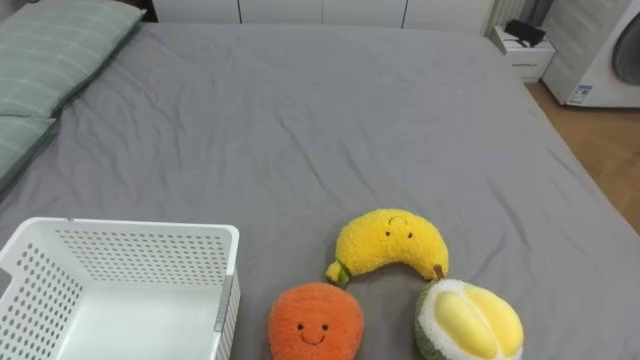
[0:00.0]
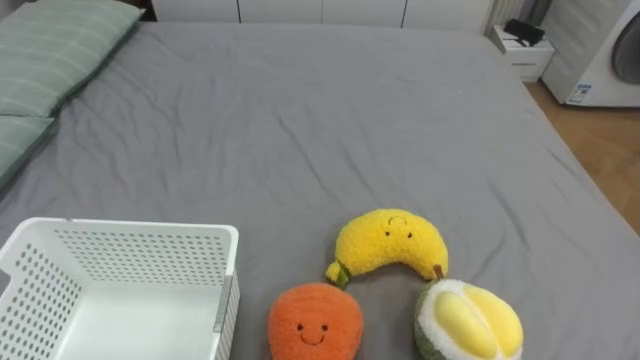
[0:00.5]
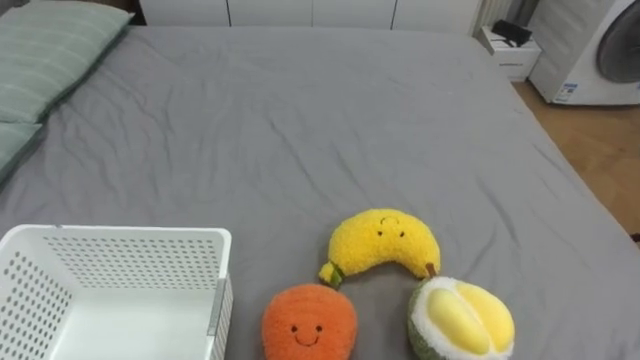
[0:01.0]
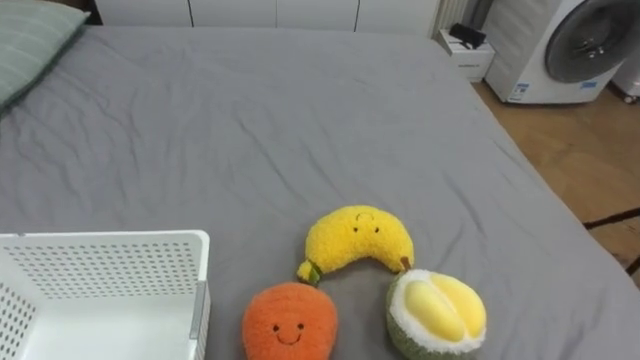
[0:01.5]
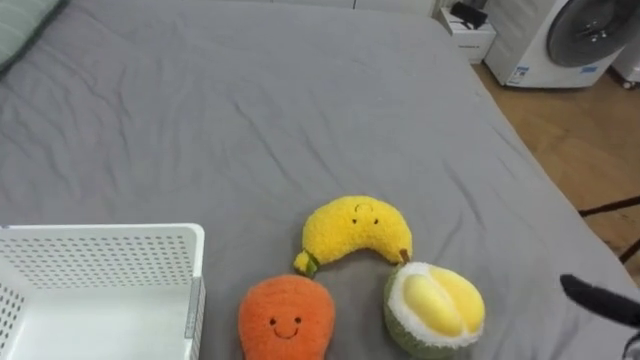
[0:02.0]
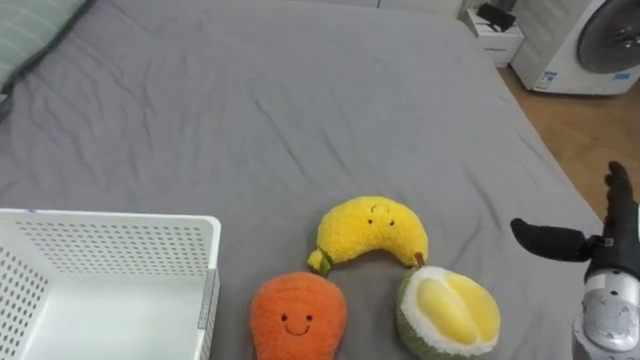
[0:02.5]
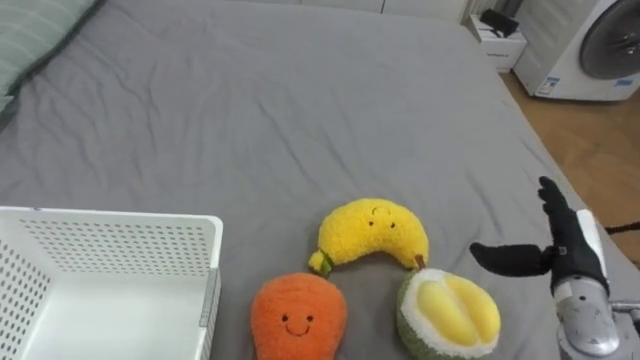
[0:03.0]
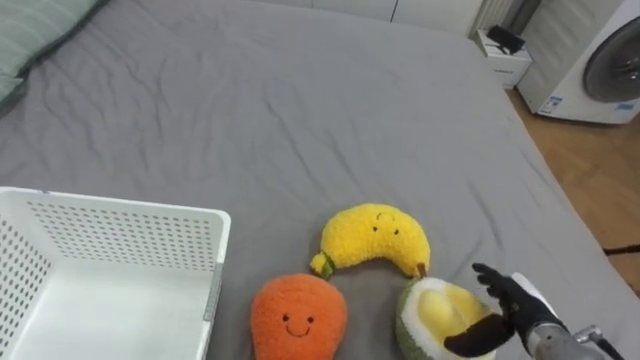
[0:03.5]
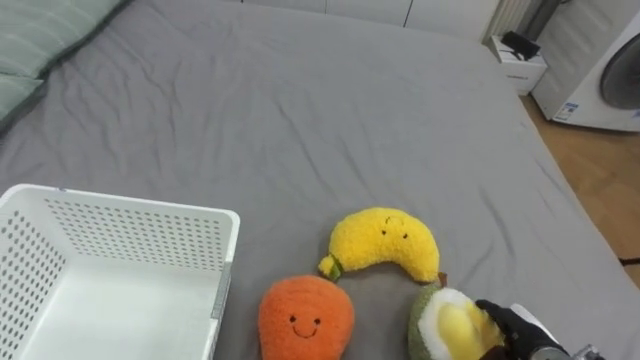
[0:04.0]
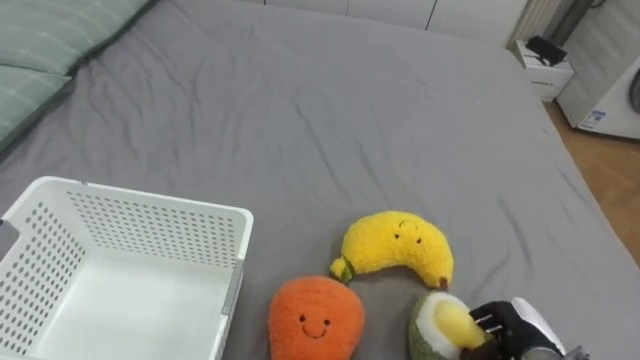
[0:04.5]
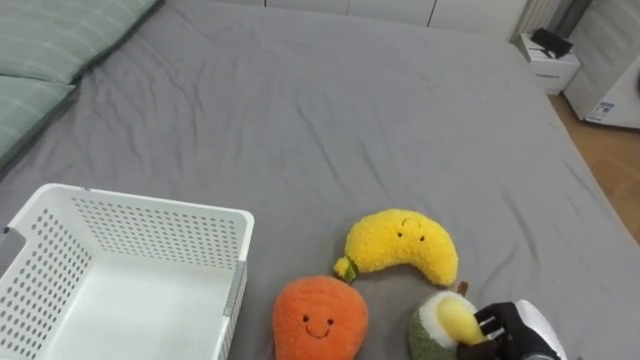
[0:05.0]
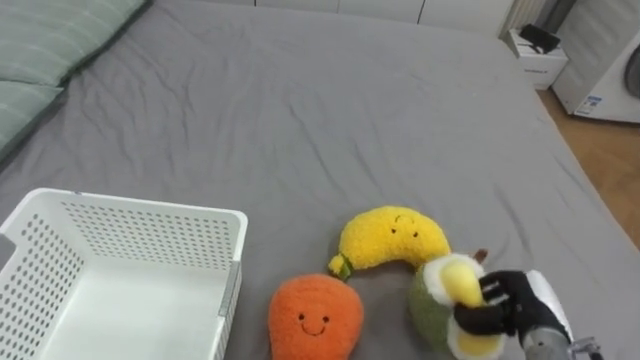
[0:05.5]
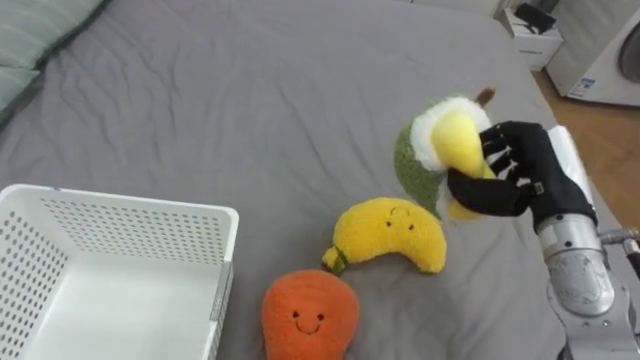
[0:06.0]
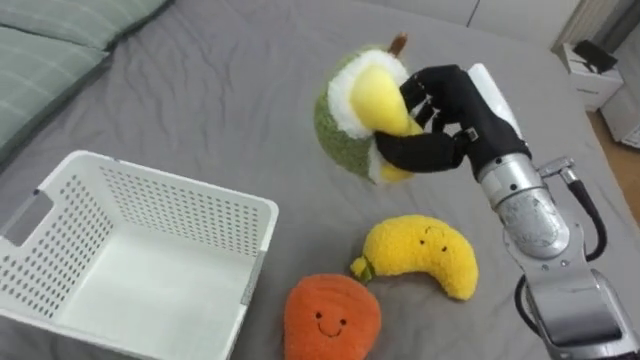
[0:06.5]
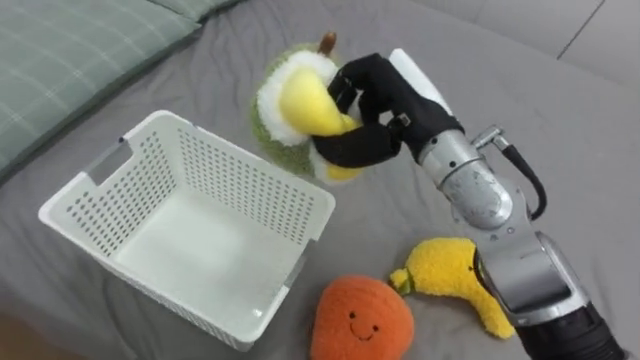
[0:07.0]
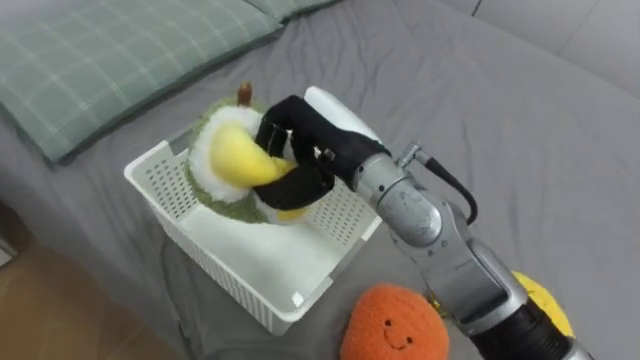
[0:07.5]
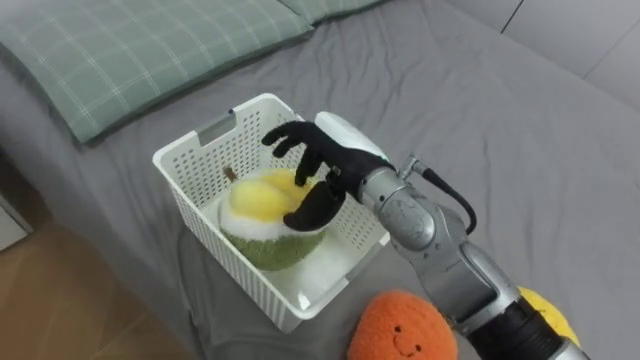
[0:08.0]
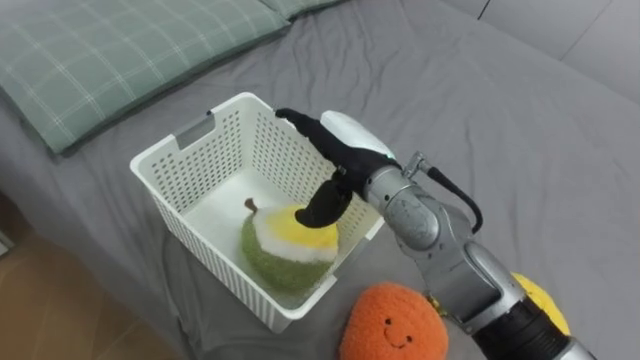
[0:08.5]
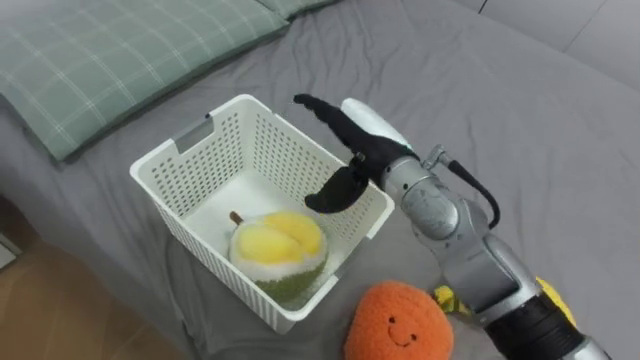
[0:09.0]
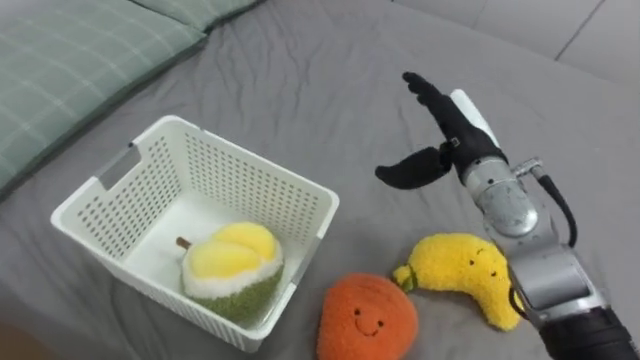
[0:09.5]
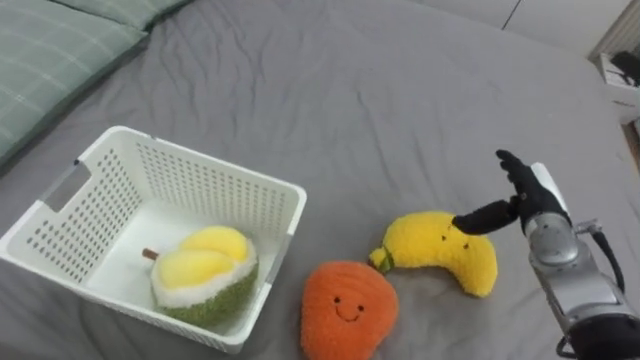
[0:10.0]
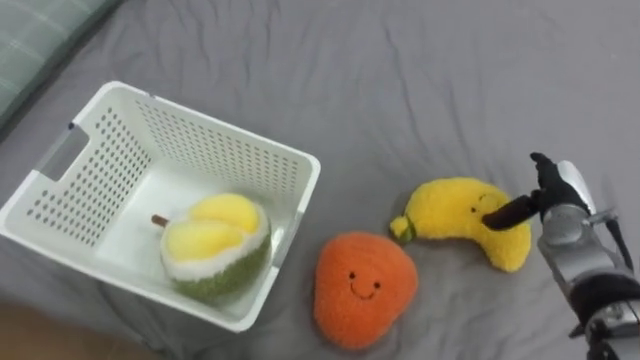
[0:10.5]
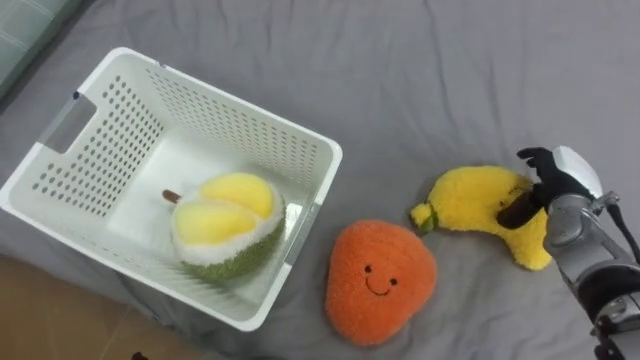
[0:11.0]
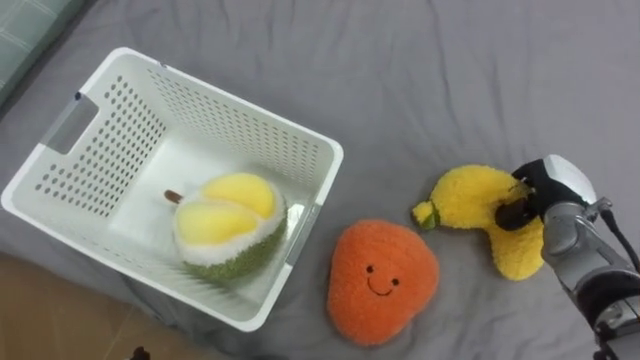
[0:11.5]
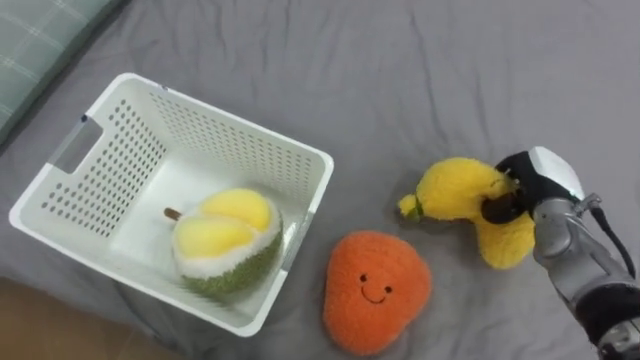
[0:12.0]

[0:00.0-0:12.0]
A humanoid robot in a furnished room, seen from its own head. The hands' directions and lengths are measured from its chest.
Task of the whole recording: Put the toys on the bed into the basket on the left.
0:04.0 to 0:06.0: The right hand is displaced upward and forward by roughly 25 cm, and closes its fingers.
0:06.0 to 0:08.0: The right hand moves to the left, roughly 25 cm, and opens its fingers.
0:08.0 to 0:10.0: The right hand travels to the right and downward by approximately 30 cm, and opens up.
0:10.0 to 0:12.0: The right hand closes.

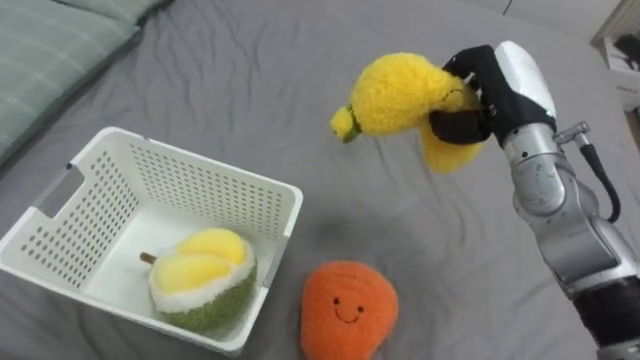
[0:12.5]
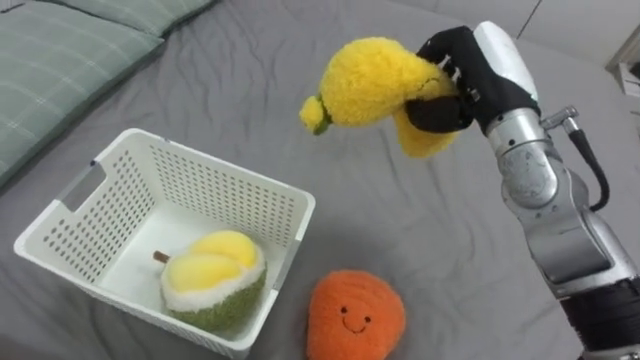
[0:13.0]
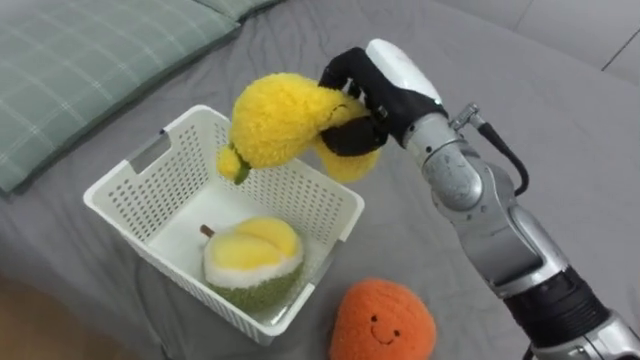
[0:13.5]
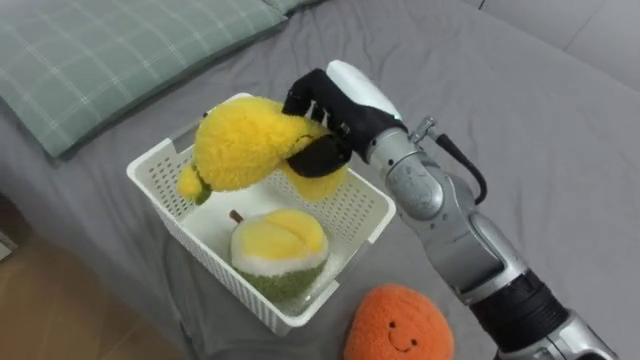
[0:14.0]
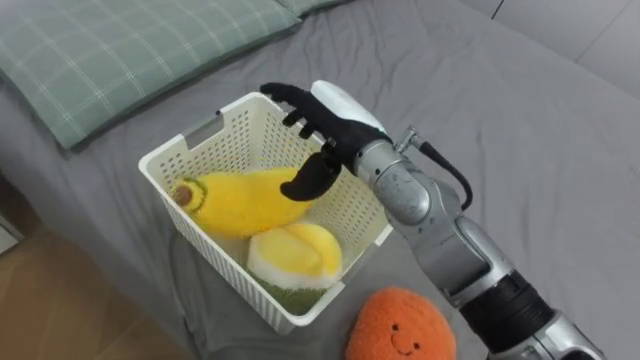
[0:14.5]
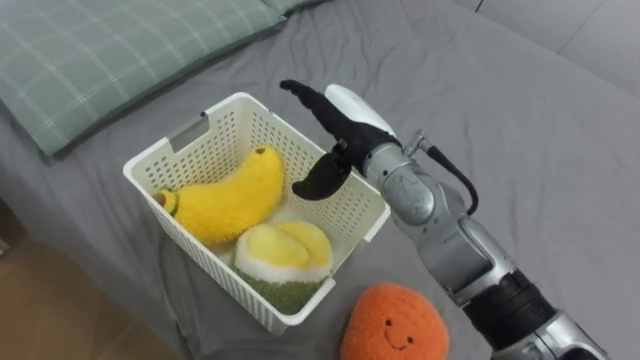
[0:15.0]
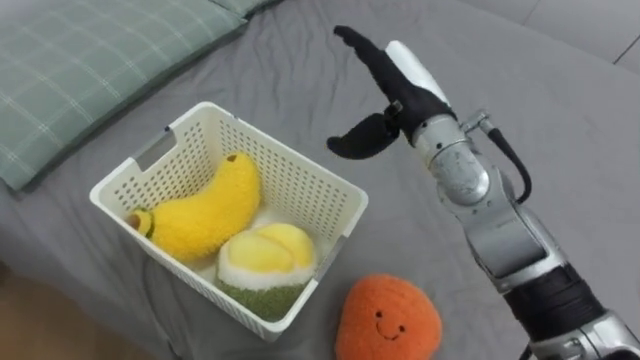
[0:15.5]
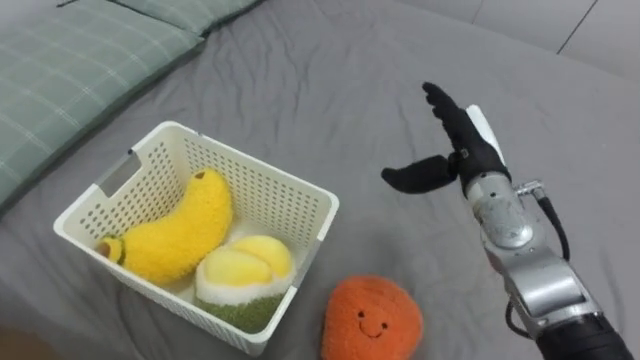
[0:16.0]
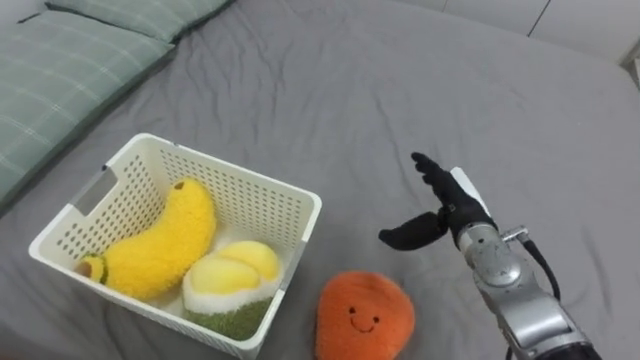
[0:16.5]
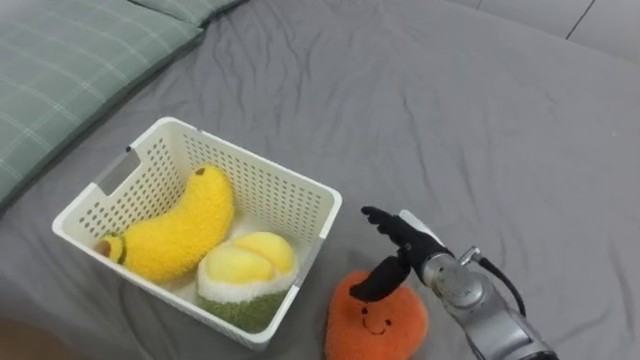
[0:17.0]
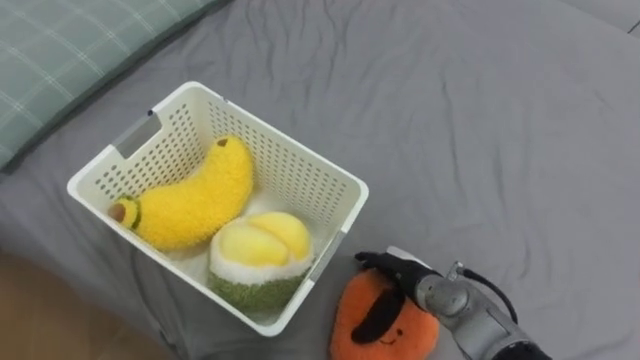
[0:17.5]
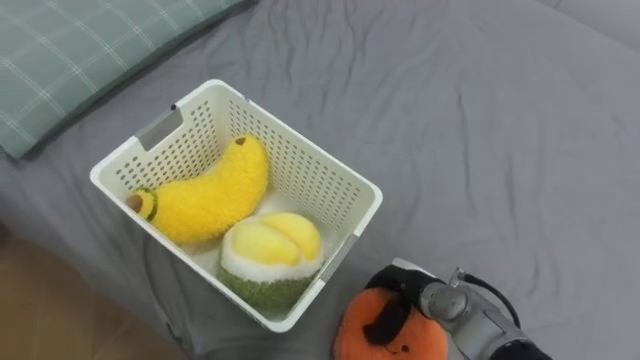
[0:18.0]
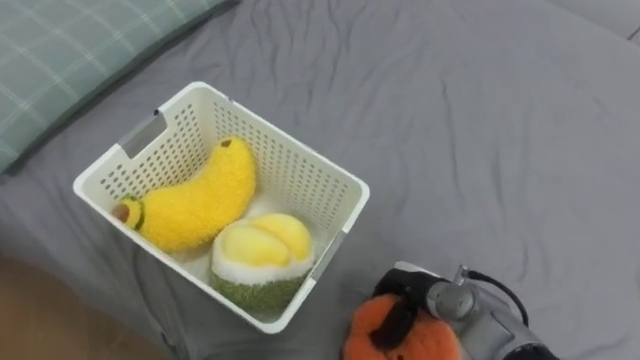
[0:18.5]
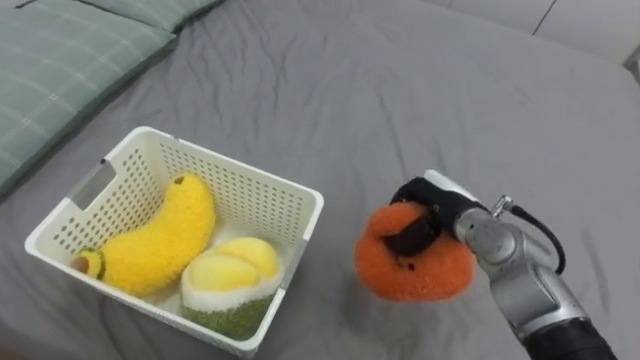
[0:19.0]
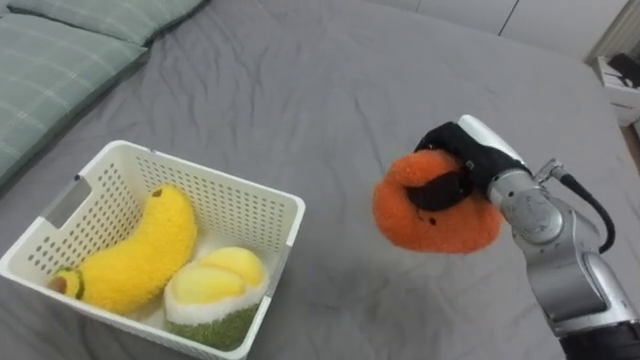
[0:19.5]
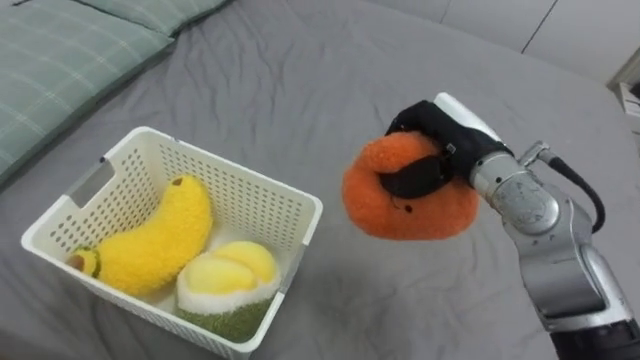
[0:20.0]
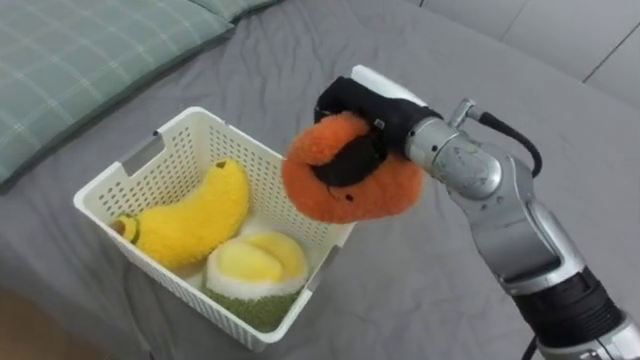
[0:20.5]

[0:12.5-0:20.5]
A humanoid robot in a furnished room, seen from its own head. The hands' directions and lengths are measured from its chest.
Task of the whole recording: Put the toys on the bed into the basket on the left.
0:12.5 to 0:14.5: The right hand heads to the left, covering roughly 20 cm, and opens.
0:14.5 to 0:16.5: The right hand heads to the right and downward, covering some 20 cm.
0:16.5 to 0:18.5: The right hand heads downward and backward, covering roughly 15 cm, and closes its fingers.
0:18.5 to 0:20.5: The right hand goes roughly 25 cm upward.
